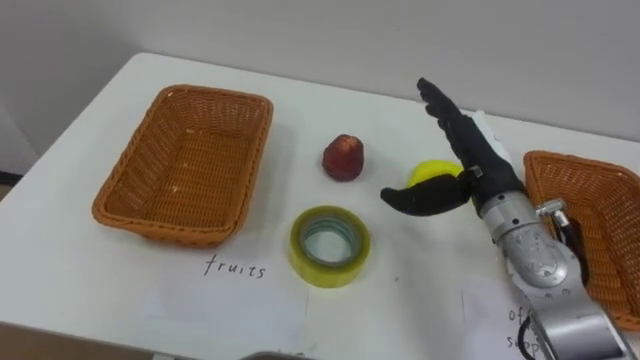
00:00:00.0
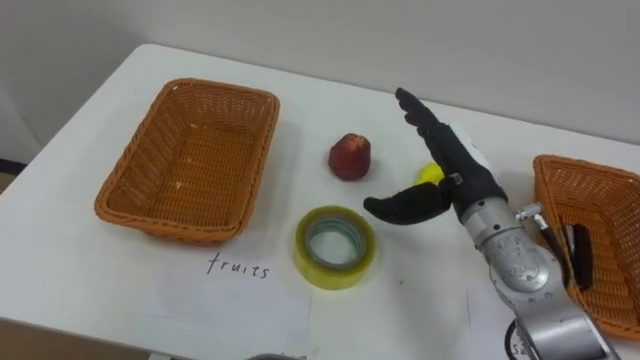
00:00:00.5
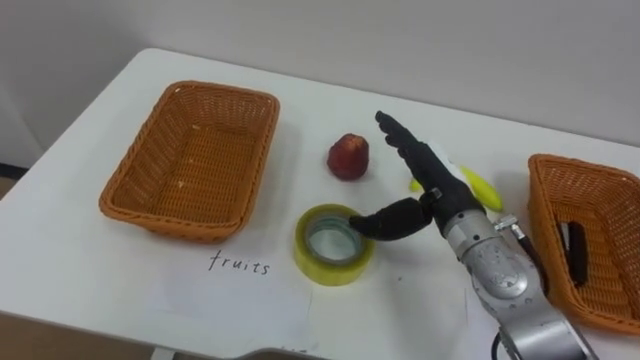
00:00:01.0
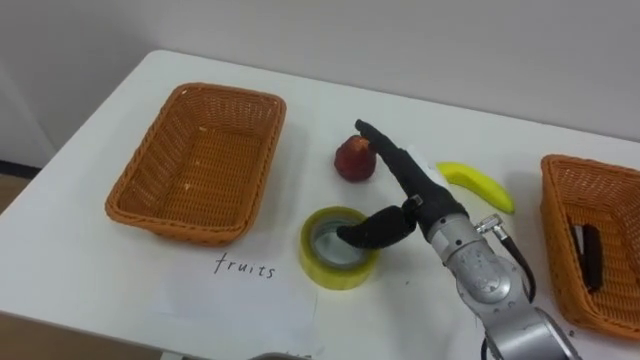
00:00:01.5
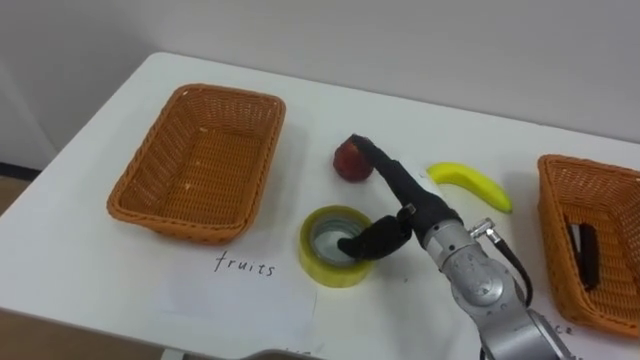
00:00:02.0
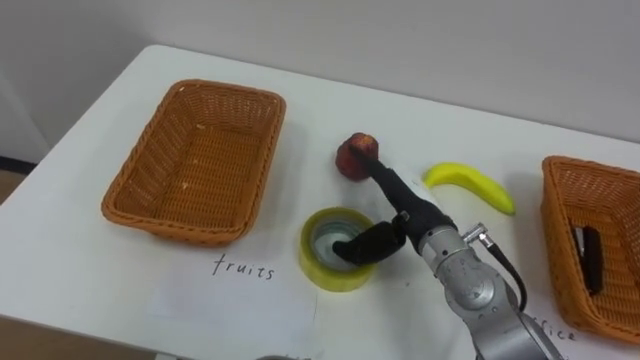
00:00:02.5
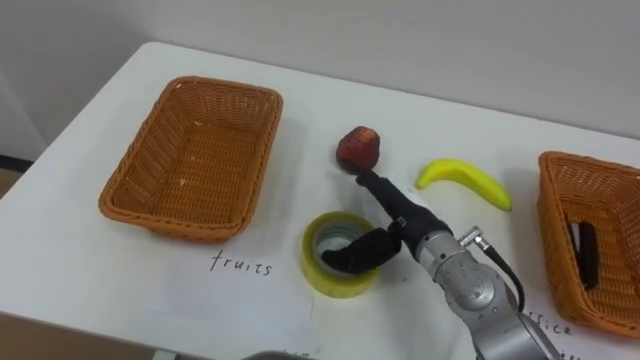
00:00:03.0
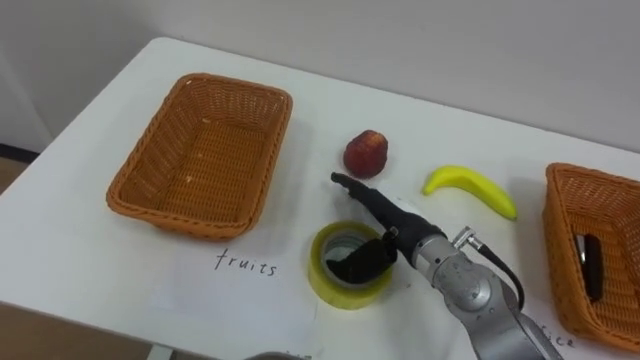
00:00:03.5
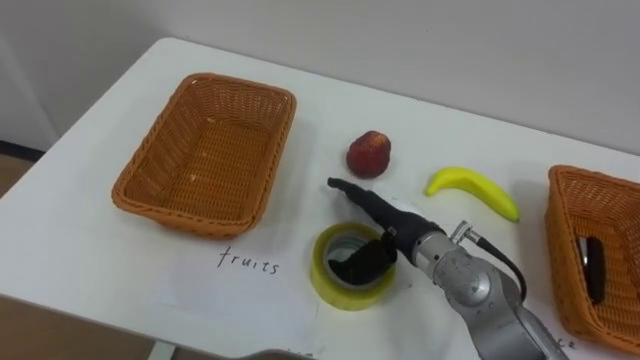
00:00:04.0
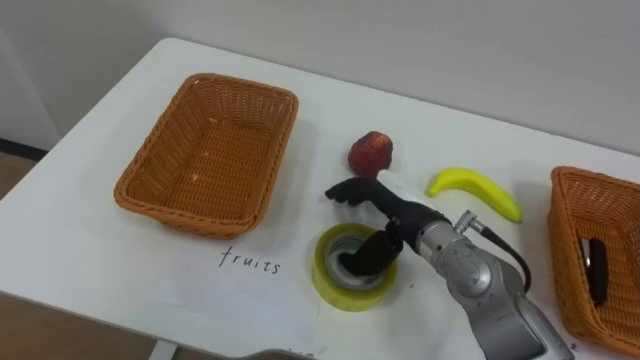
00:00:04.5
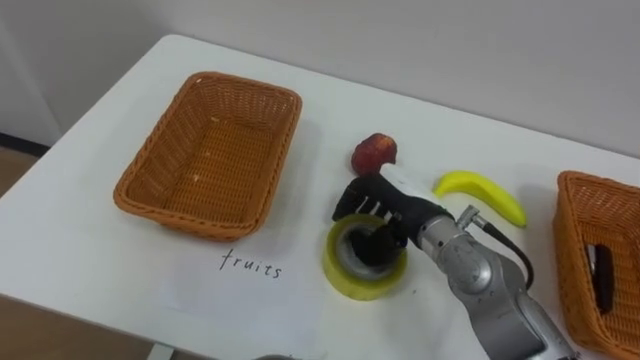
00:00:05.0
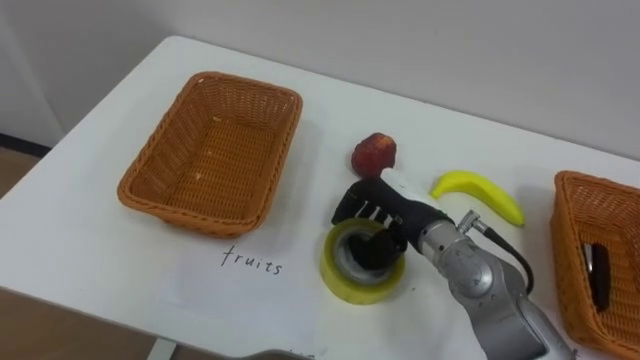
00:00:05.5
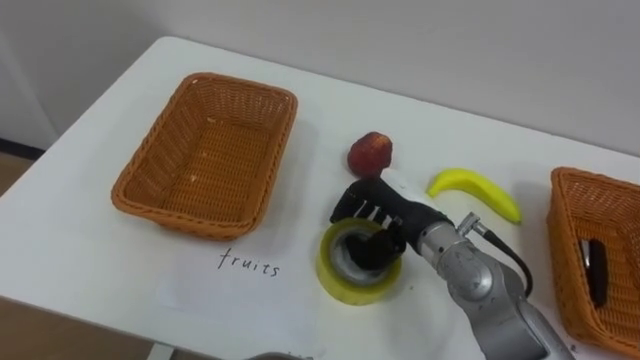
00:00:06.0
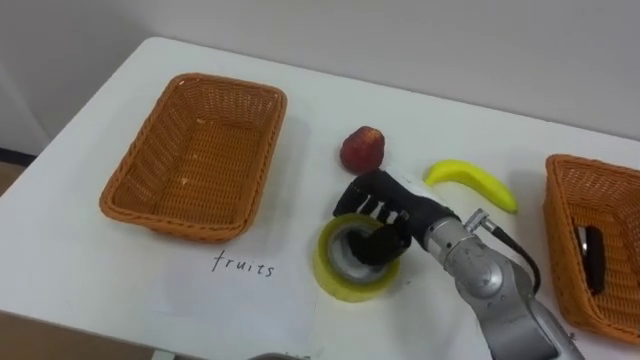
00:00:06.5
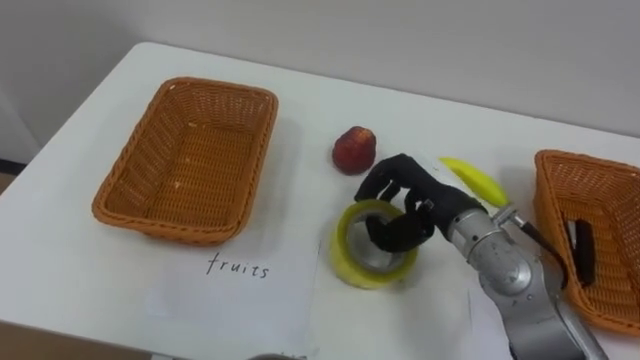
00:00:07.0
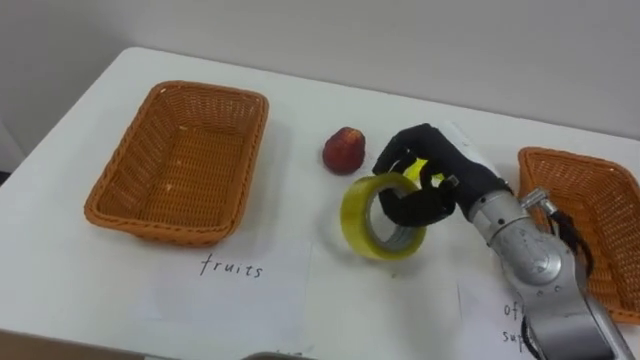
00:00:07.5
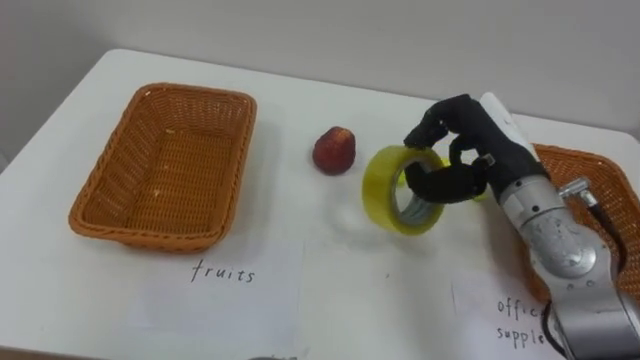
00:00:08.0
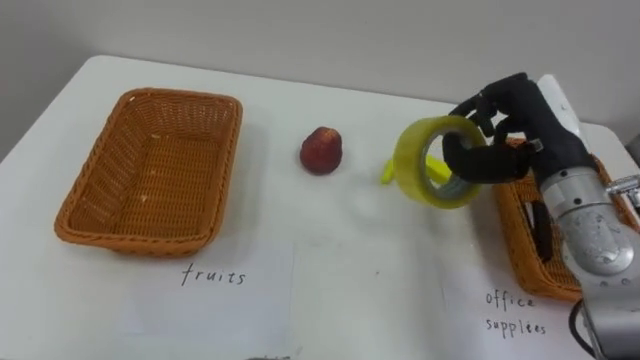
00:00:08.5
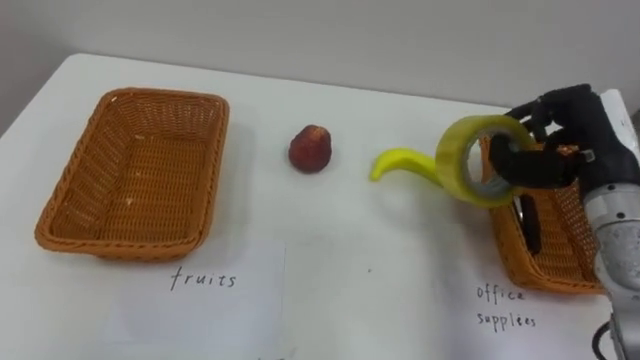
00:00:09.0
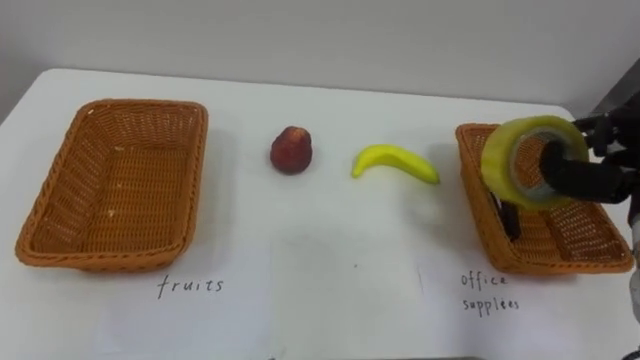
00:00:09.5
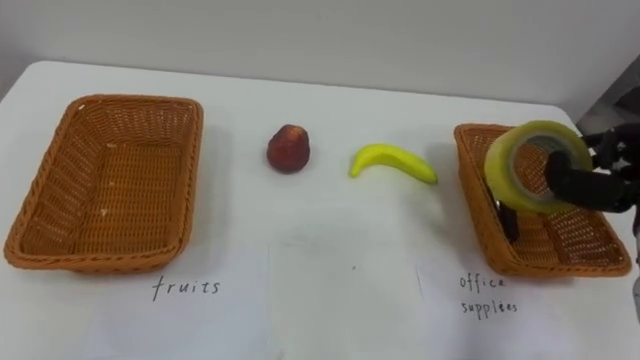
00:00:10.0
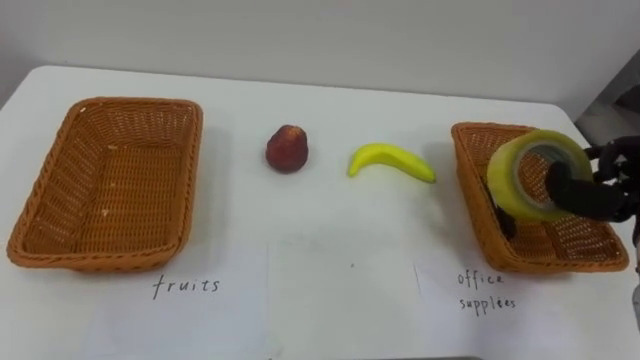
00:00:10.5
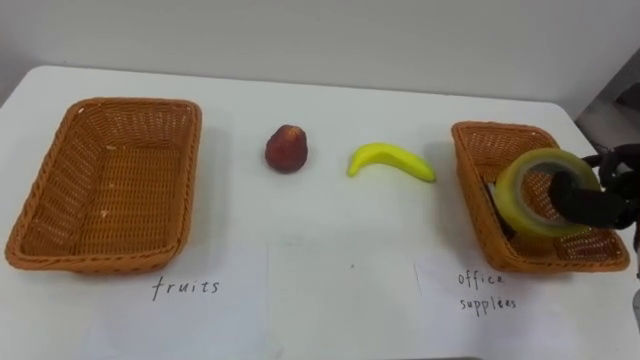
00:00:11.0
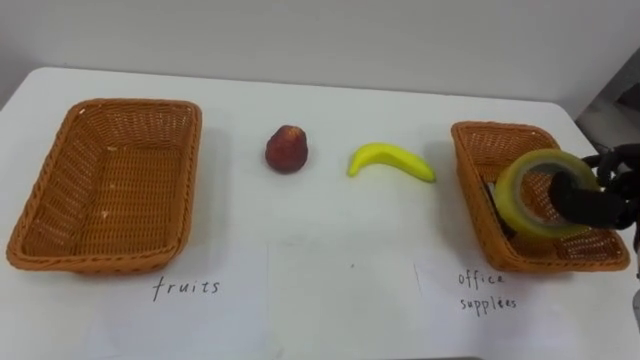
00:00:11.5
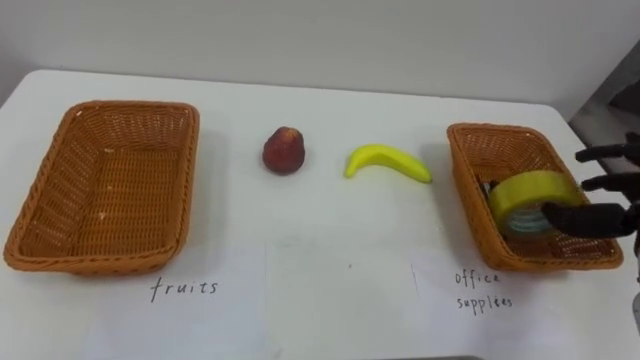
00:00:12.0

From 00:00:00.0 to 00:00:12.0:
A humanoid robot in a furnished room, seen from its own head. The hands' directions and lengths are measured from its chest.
Task of the whole recording: Separate the items on the table and place them into the two baskets.
From 00:00:00.0 to 00:00:02.0: The right hand is displaced to the left by about 5 cm.
From 00:00:04.0 to 00:00:06.0: The right hand closes its fingers.
From 00:00:06.0 to 00:00:08.0: The right hand heads upward and to the right, covering some 15 cm.

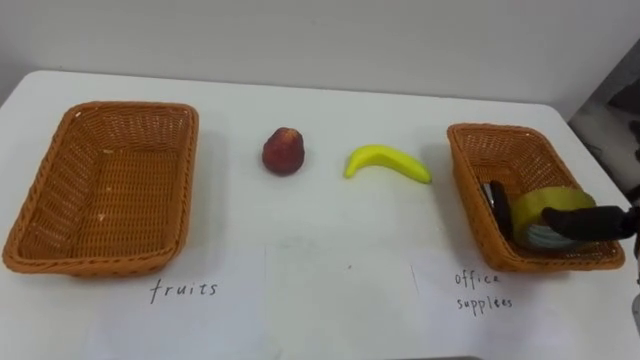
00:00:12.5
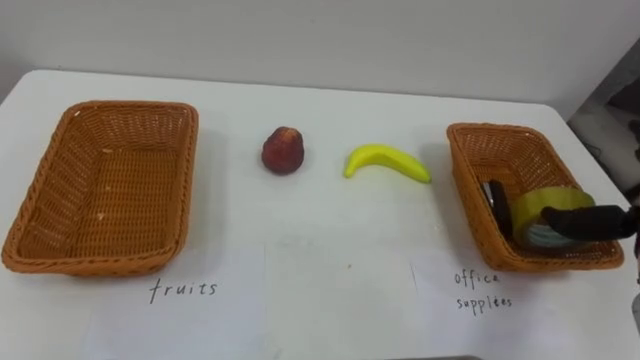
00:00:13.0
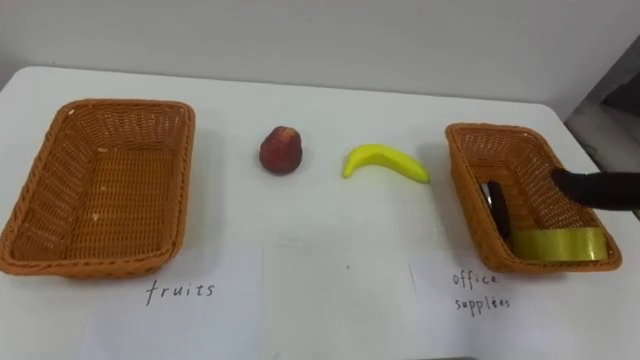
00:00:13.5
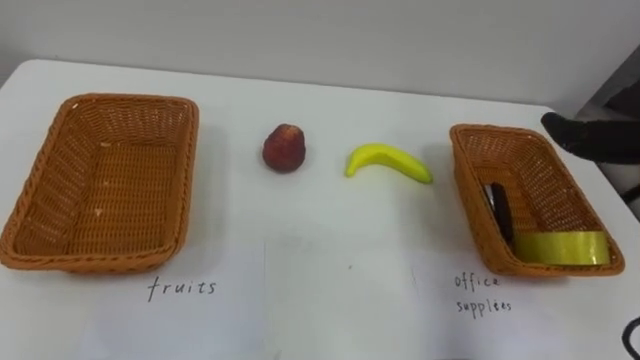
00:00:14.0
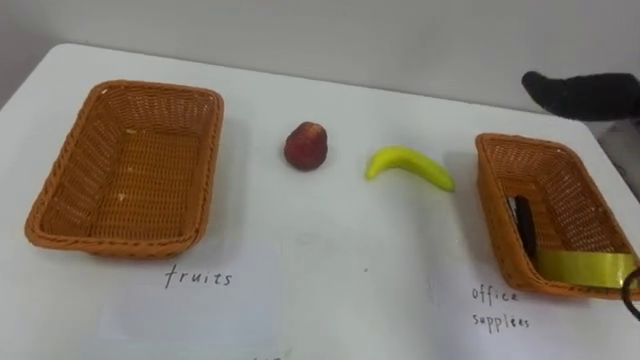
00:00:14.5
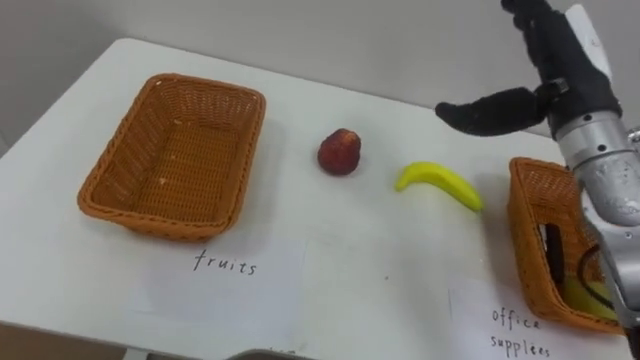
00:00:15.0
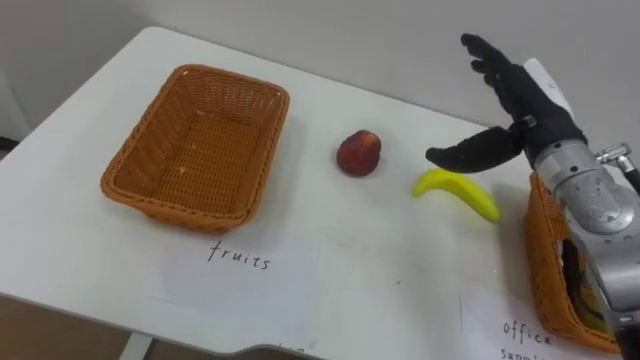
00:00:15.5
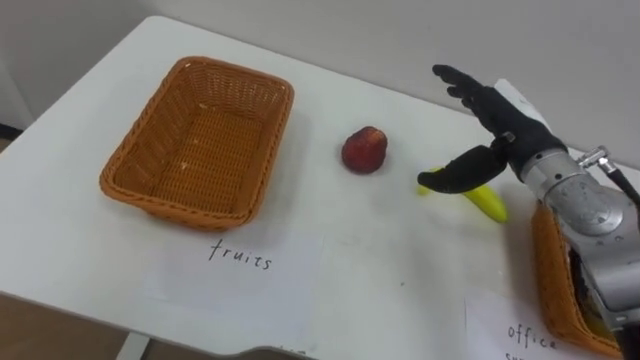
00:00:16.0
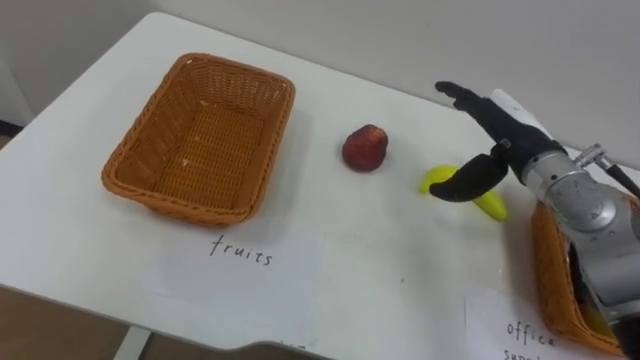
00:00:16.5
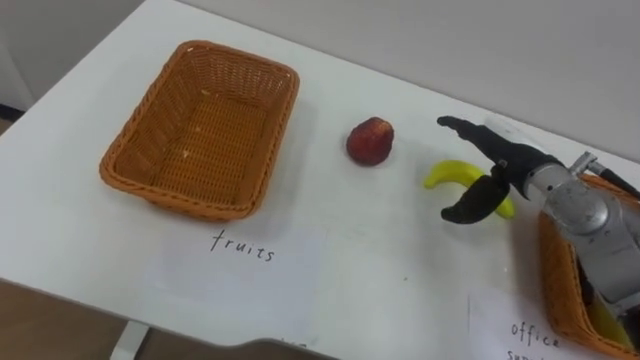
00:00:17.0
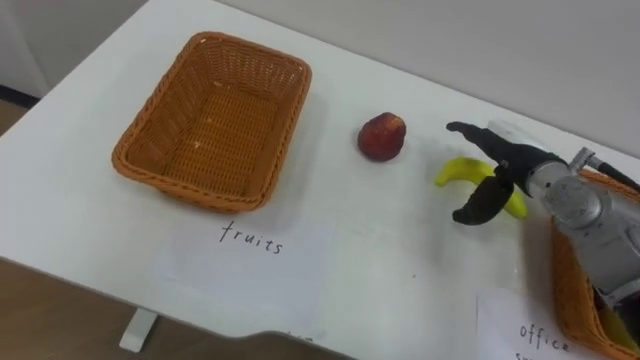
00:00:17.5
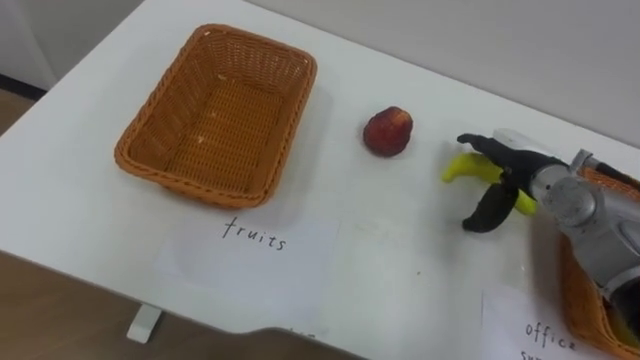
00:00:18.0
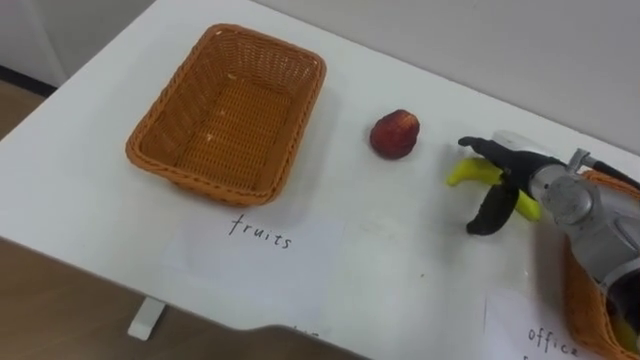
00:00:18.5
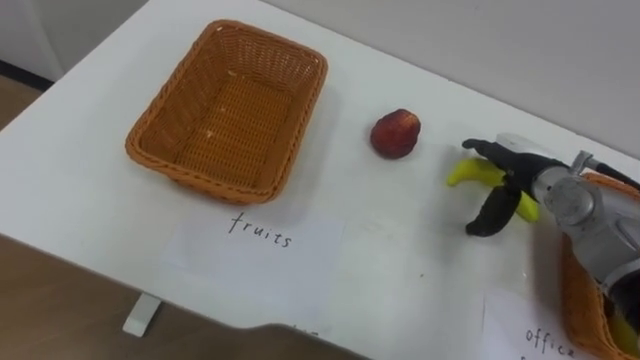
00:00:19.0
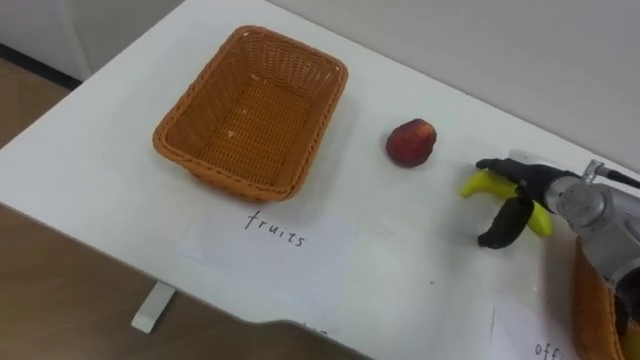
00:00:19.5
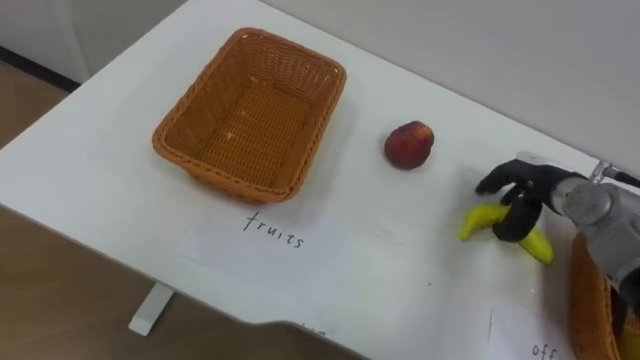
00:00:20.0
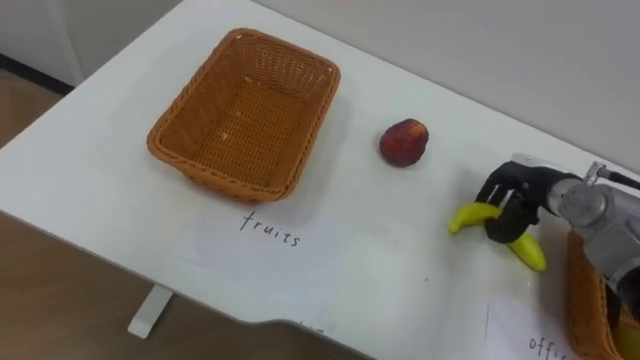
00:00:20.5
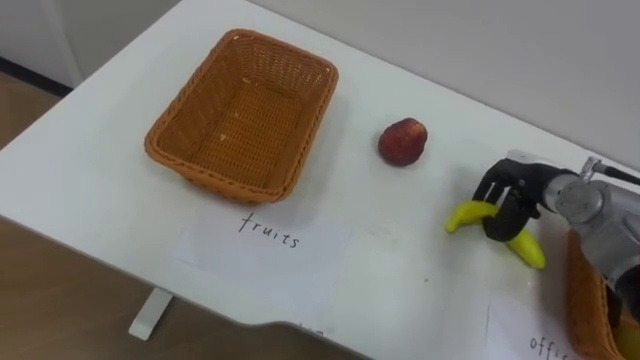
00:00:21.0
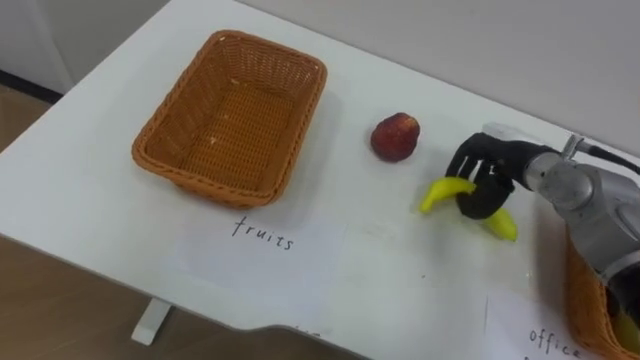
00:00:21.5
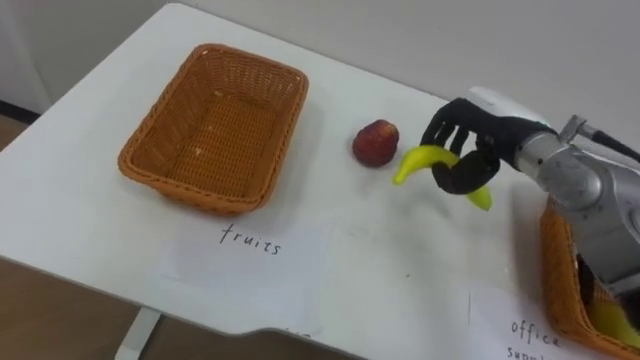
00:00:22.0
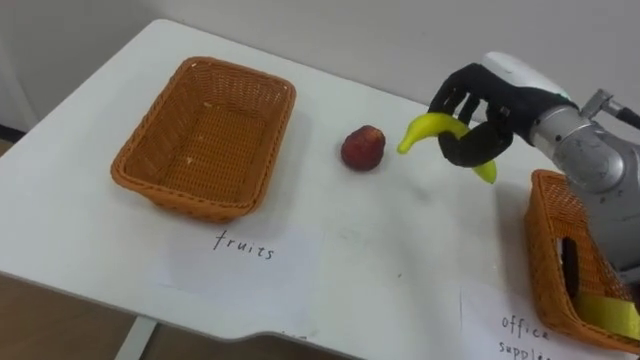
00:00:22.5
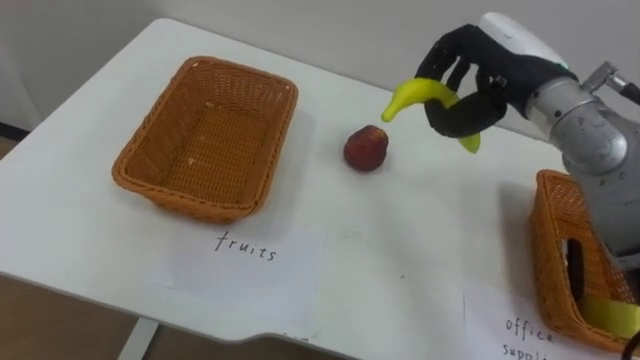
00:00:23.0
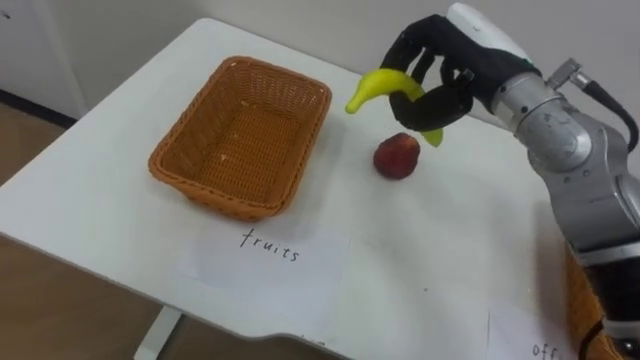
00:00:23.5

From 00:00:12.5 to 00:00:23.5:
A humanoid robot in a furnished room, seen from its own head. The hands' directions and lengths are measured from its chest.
Task of the whole recording: Separate the items on the table and place them into the two baskets.
From 00:00:16.0 to 00:00:18.0: The right hand travels downward by some 10 cm.
From 00:00:18.0 to 00:00:20.0: The right hand ends up about 5 cm from where it was.
From 00:00:20.0 to 00:00:21.5: The right hand travels to the left by approximately 5 cm, and closes up.
From 00:00:21.5 to 00:00:23.5: The right hand shifts about 15 cm upward and to the left.
